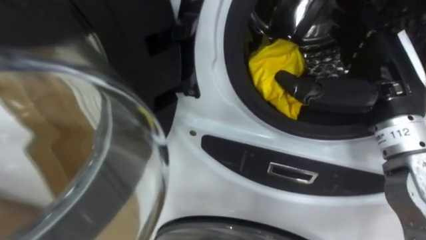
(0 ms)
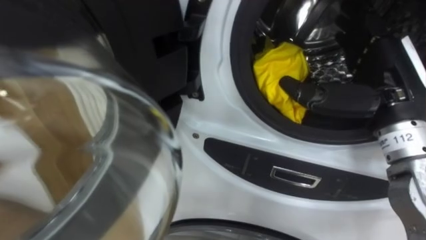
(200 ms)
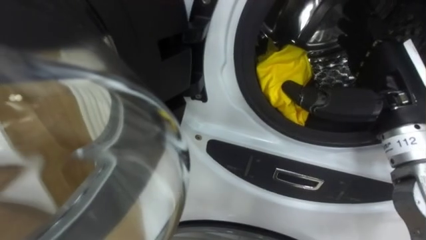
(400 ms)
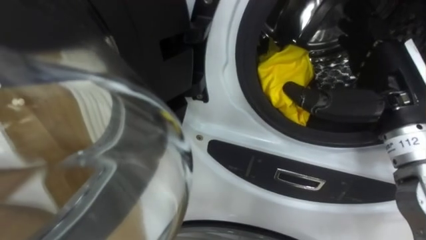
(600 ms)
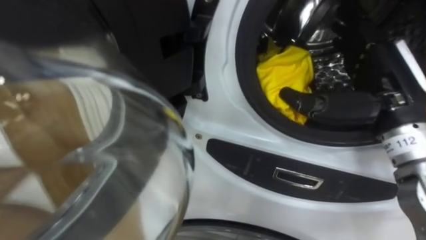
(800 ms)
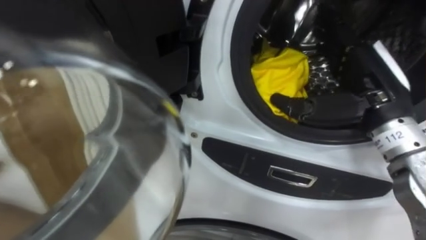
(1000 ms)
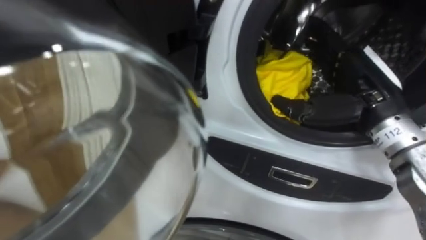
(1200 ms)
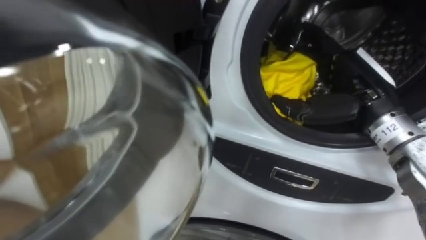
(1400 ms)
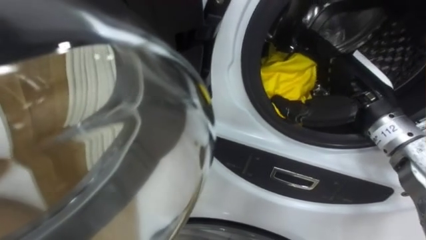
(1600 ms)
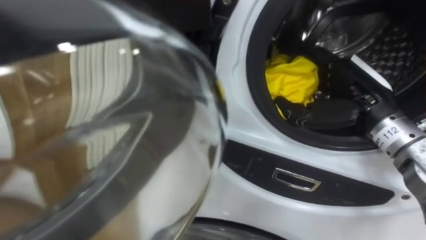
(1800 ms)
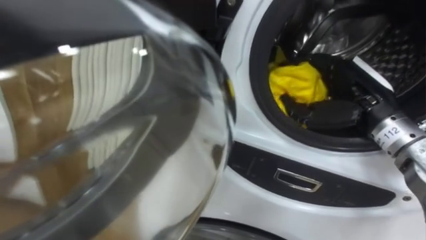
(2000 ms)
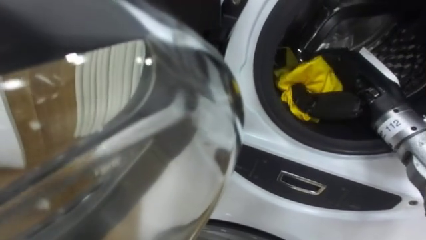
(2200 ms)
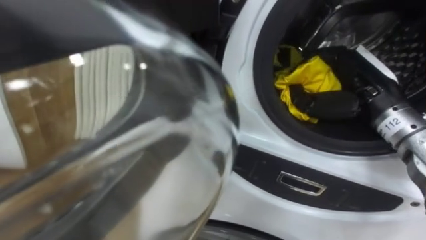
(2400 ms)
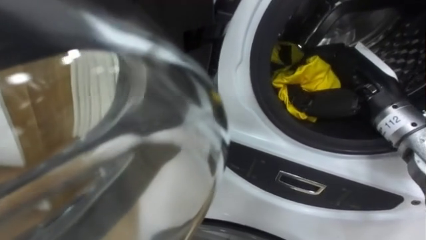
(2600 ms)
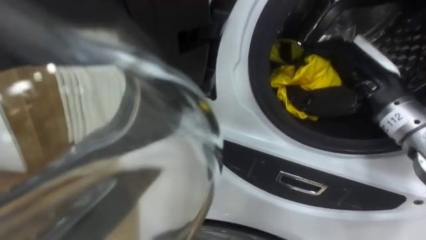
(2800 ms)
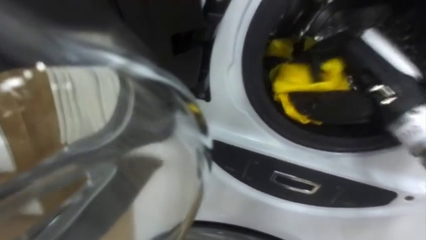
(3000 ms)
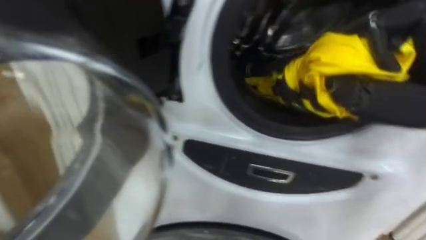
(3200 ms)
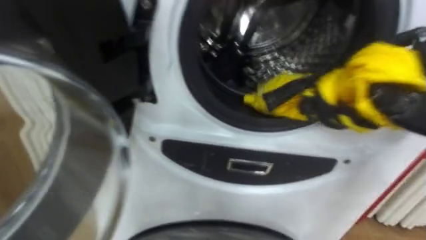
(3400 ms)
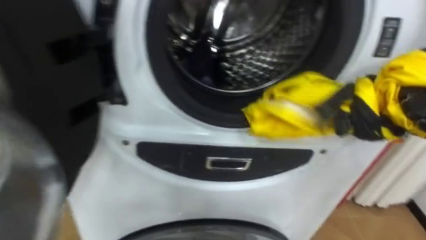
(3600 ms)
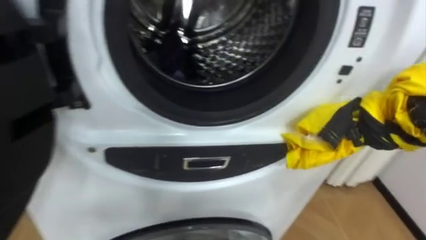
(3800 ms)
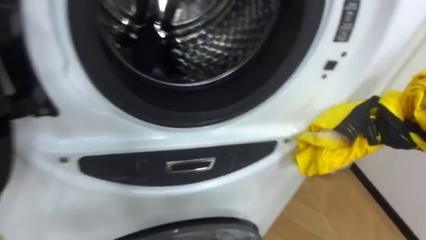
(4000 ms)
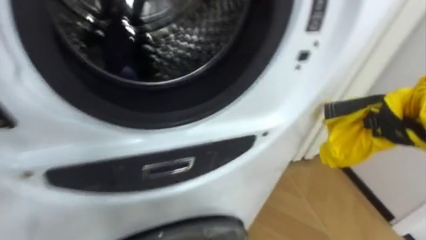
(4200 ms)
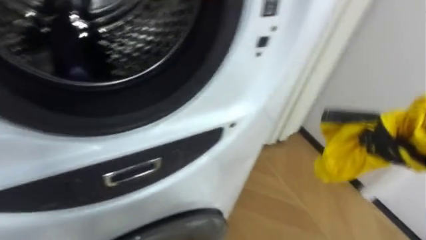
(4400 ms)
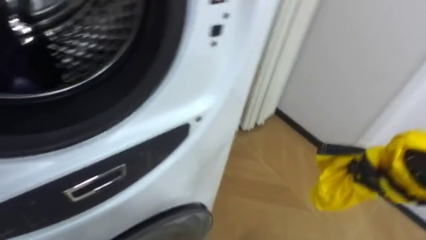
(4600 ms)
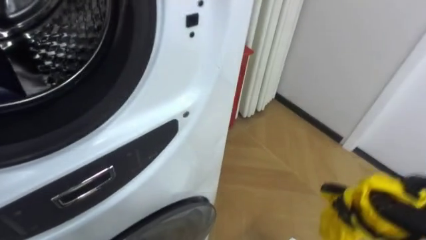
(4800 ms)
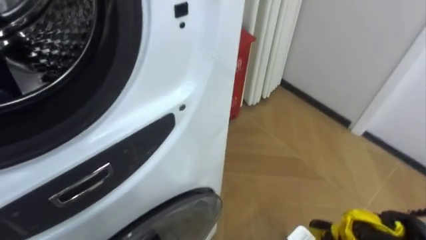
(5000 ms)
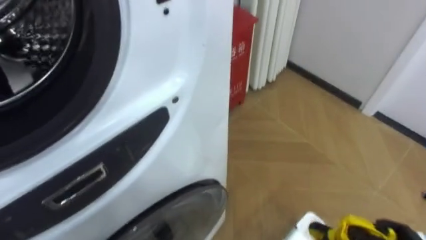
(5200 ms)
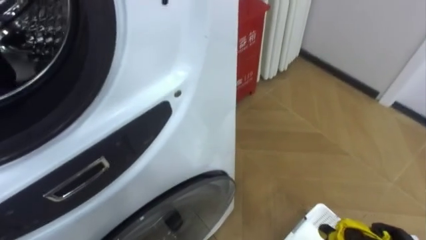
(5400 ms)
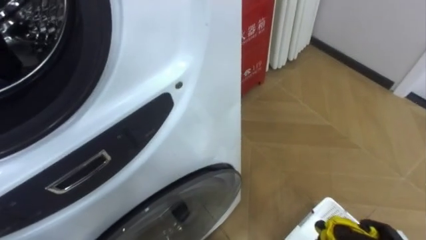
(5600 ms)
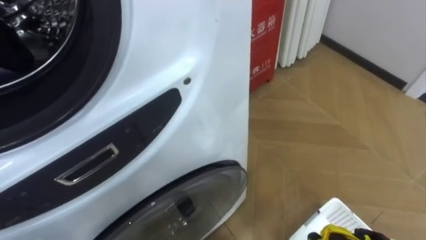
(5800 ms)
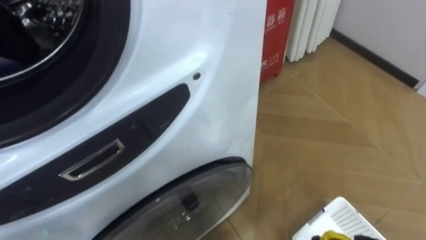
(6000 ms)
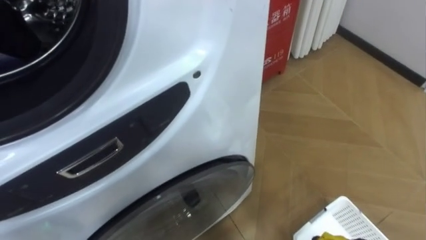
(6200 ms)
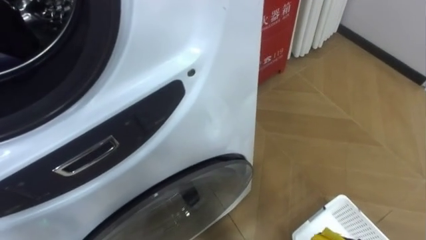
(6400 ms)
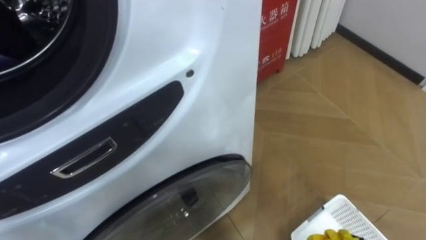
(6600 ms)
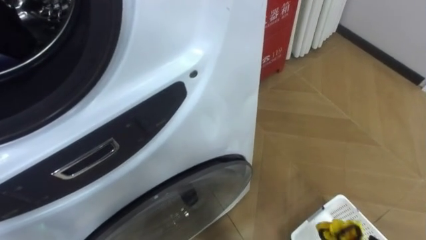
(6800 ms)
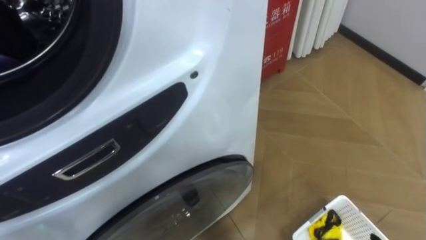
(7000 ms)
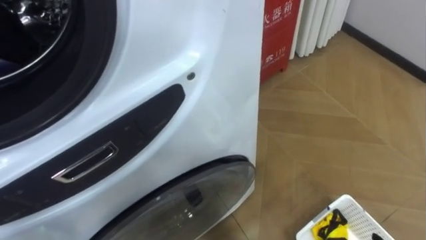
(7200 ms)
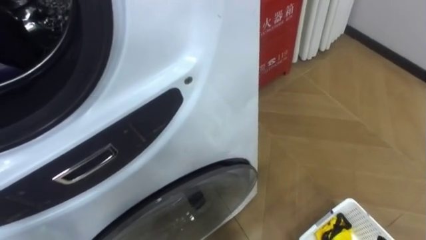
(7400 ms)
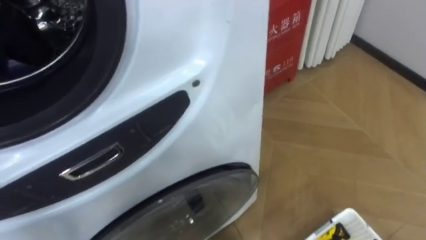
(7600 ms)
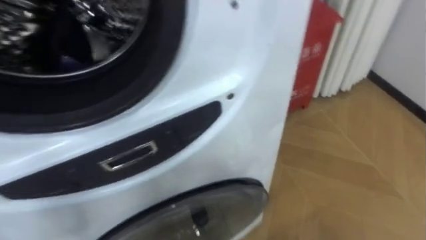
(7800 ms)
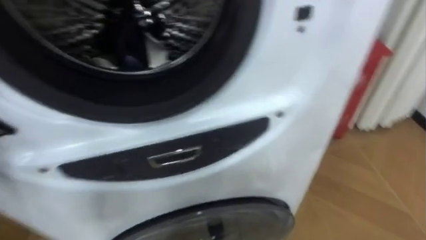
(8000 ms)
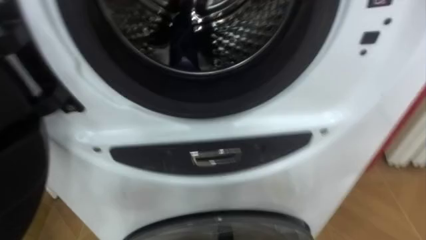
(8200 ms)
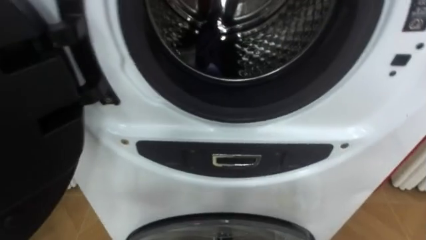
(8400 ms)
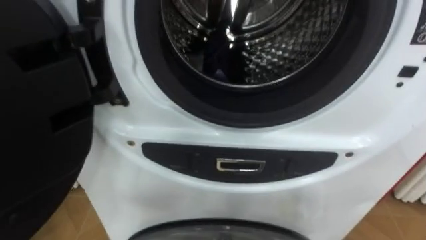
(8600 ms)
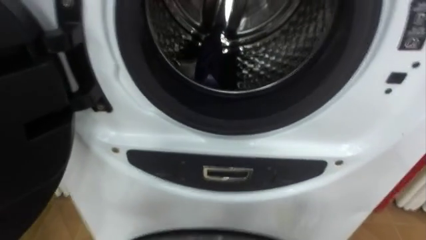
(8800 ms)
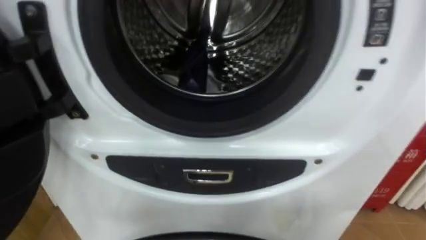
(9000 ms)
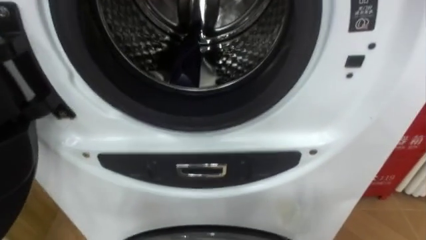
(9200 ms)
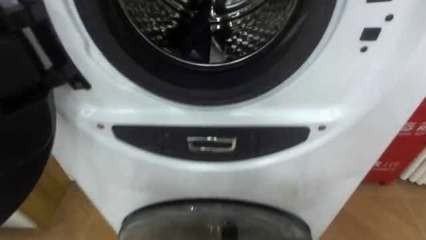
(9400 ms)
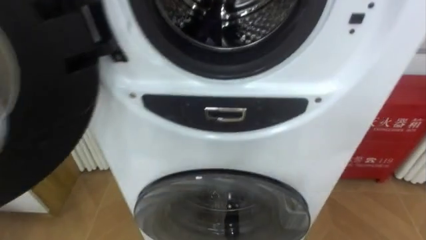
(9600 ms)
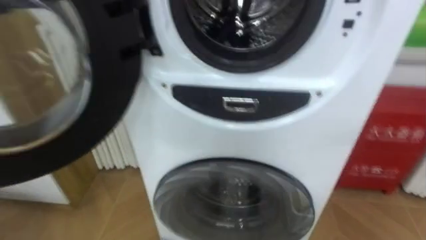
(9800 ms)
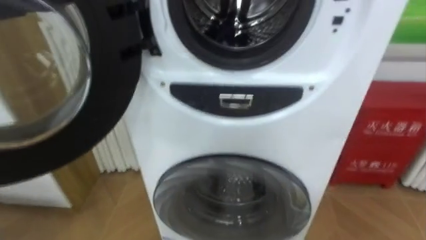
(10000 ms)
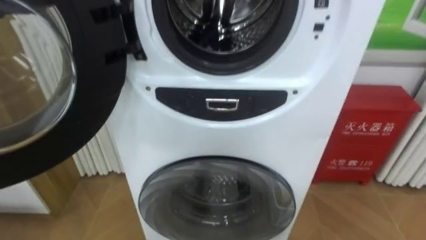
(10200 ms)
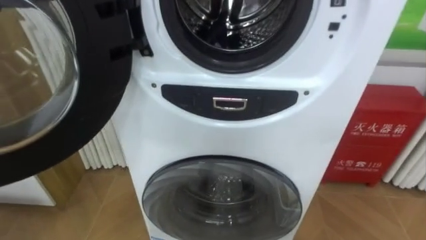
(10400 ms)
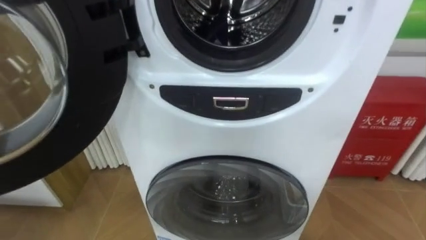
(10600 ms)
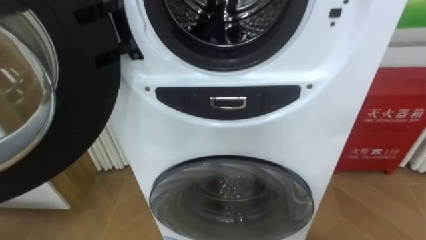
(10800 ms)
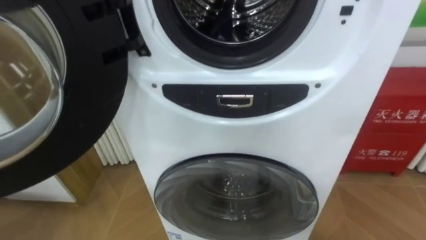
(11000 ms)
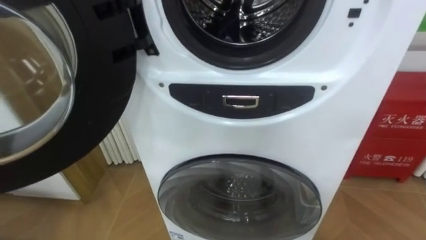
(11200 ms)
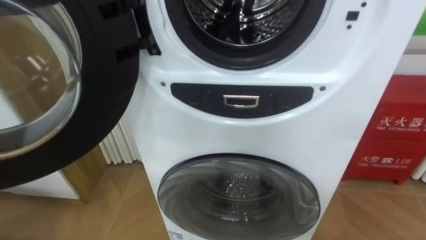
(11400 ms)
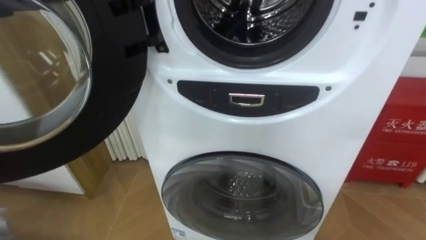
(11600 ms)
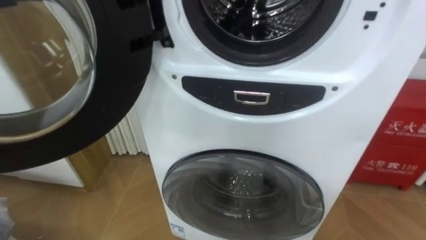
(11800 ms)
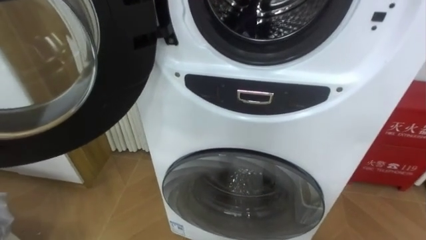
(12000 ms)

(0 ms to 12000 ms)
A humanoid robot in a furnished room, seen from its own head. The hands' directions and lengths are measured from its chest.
Task of the whole recording: Open the washing machine door, take out the yellow clothes, place them in the box on the right, and close the washing machine door.
0 ms - 1600 ms: The right hand ends up about 5 cm from where it was.
1600 ms - 3000 ms: The right hand shifts by about 5 cm, and closes its fingers.

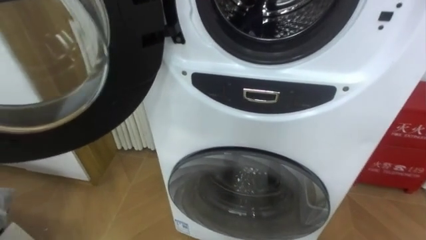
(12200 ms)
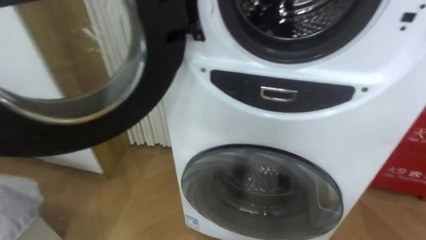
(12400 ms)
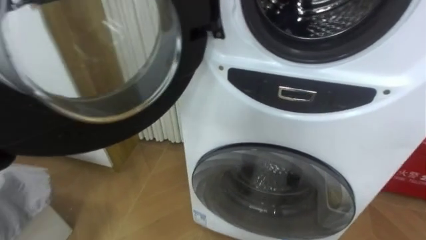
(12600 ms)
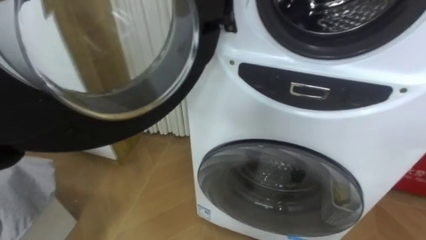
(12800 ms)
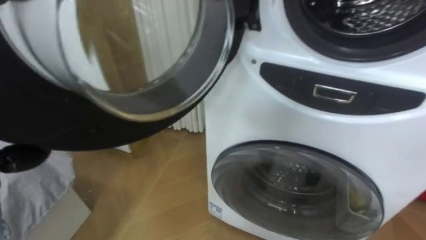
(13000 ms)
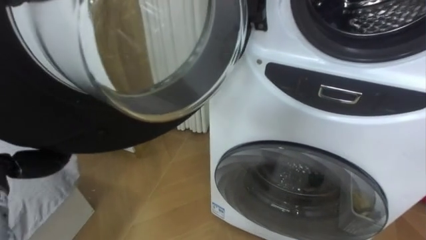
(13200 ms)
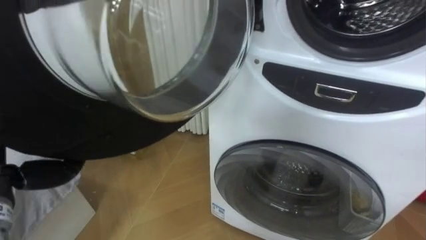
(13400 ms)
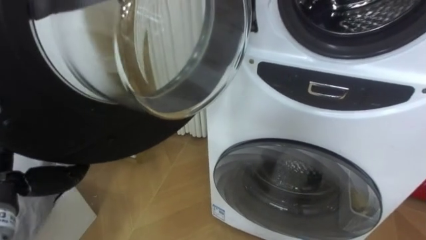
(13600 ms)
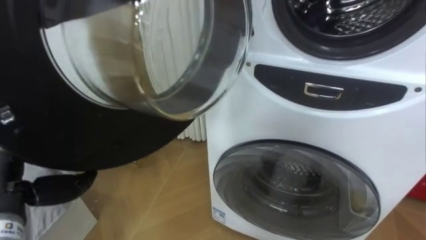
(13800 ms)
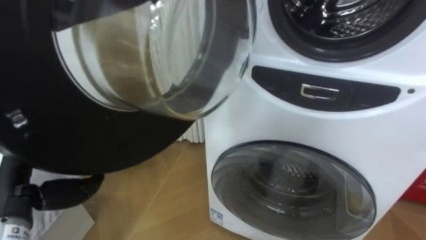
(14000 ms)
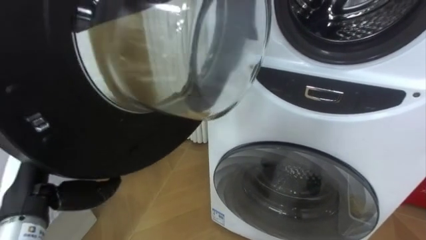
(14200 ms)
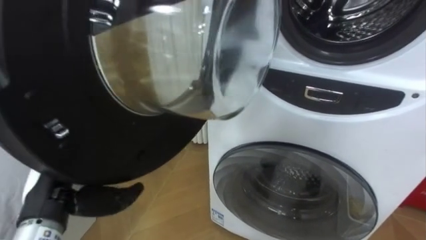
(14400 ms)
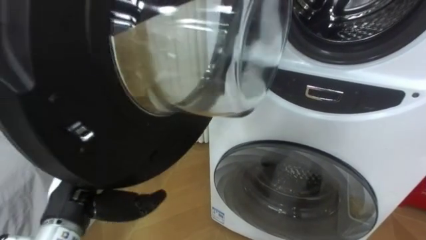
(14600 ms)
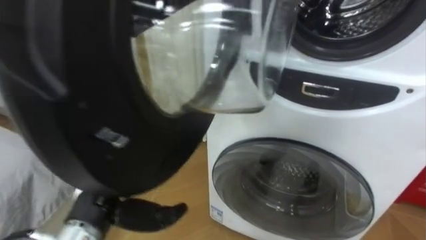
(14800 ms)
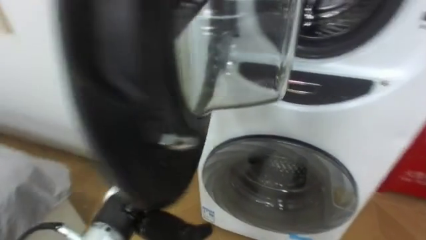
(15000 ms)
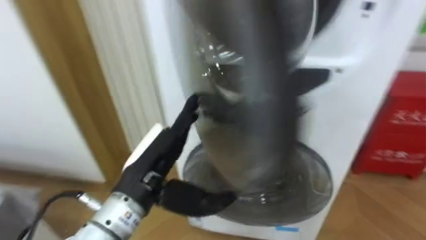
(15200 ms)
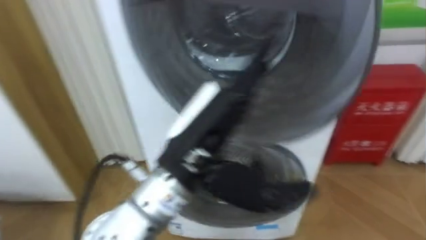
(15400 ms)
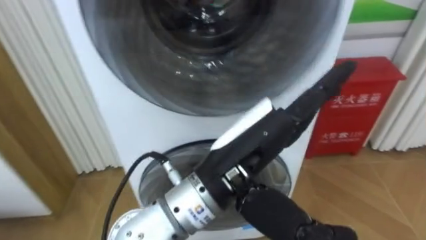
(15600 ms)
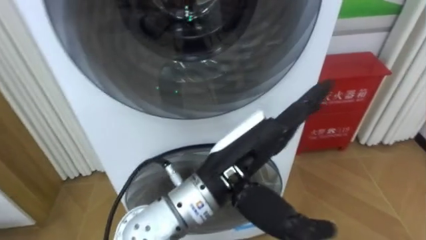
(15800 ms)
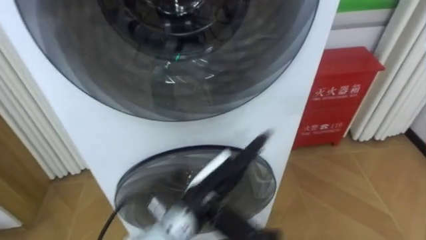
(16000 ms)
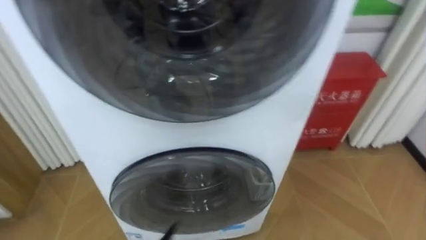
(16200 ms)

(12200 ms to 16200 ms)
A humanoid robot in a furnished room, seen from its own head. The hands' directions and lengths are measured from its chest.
Task of the whole recording: Open the washing machine door, take out the yellow clothes, place them in the box on the right, and close the washing machine door.
13600 ms - 14800 ms: The left hand is displaced to the right by roughly 15 cm.

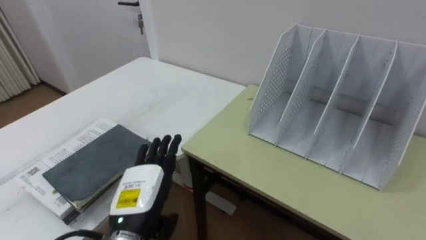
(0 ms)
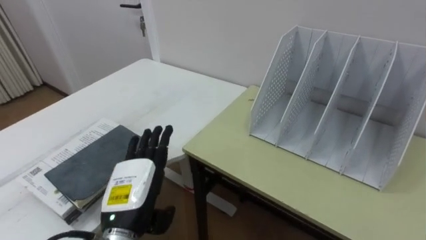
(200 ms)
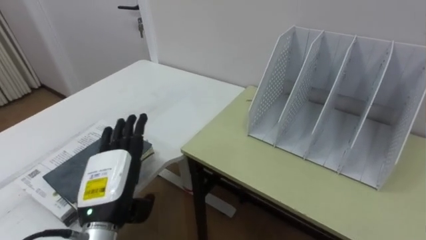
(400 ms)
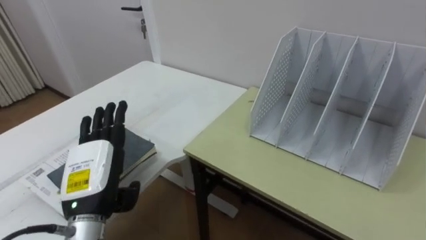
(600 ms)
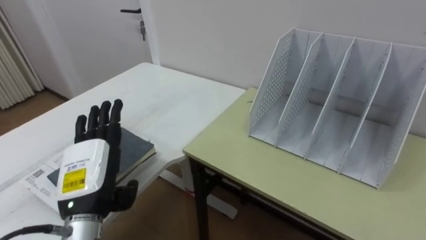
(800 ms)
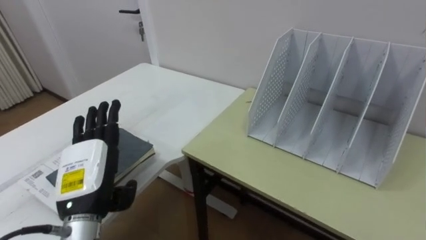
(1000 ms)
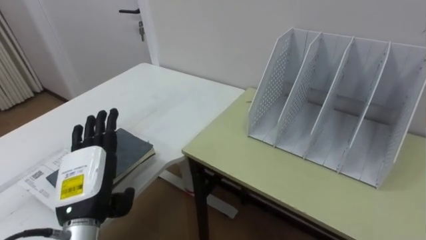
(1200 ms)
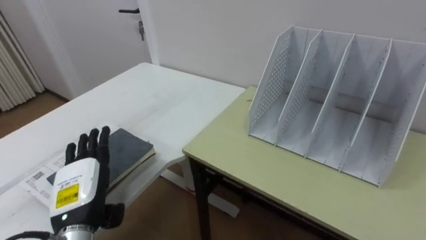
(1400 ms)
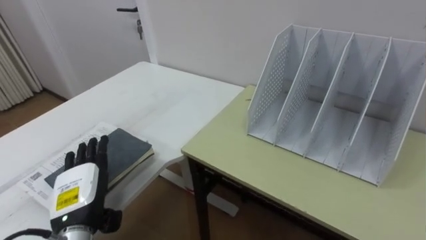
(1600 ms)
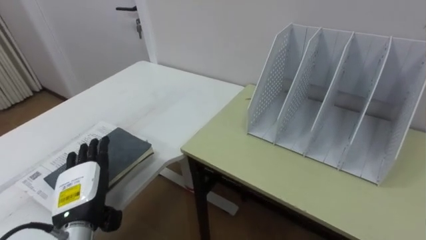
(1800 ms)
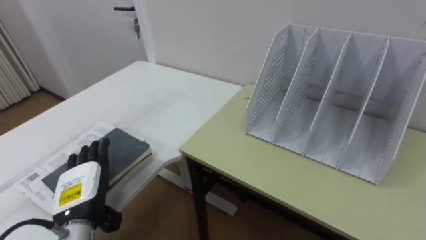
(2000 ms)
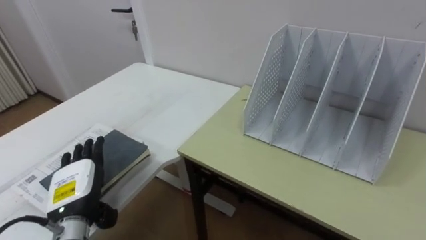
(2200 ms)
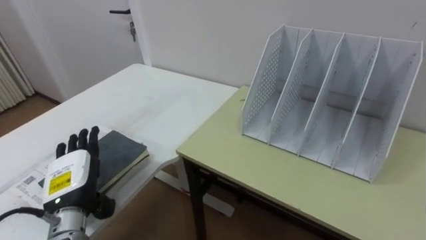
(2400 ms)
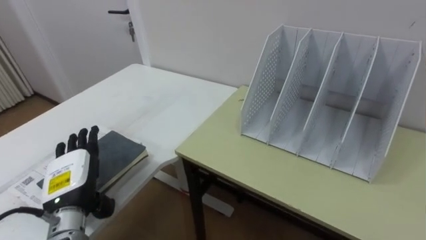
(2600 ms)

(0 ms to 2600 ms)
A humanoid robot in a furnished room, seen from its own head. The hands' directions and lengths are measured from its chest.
Task of the whole recording: Put the books on the table onto the bookshelf.
0 ms - 1200 ms: The left hand shifts approximately 10 cm to the left.
1200 ms - 2600 ms: The left hand moves approximately 5 cm.
